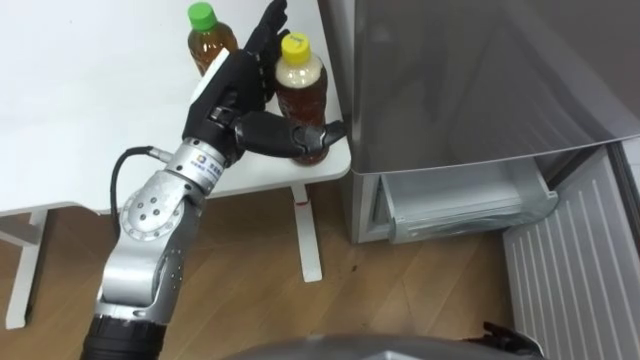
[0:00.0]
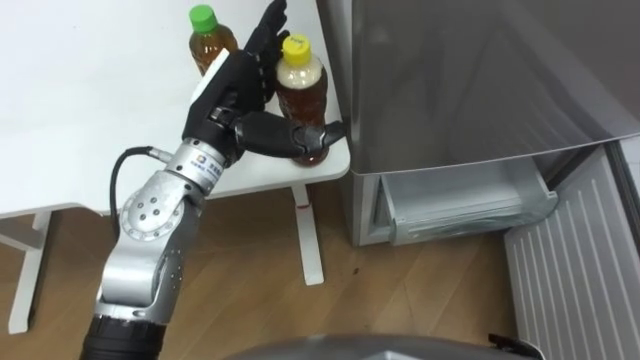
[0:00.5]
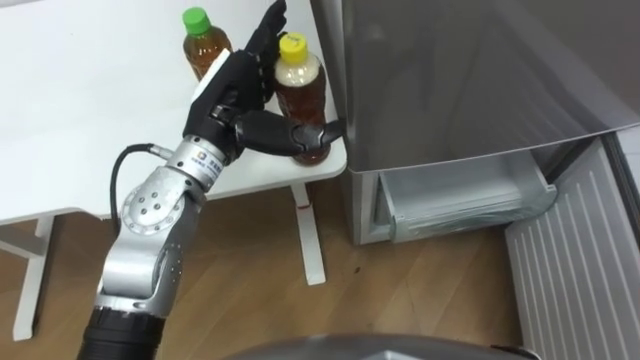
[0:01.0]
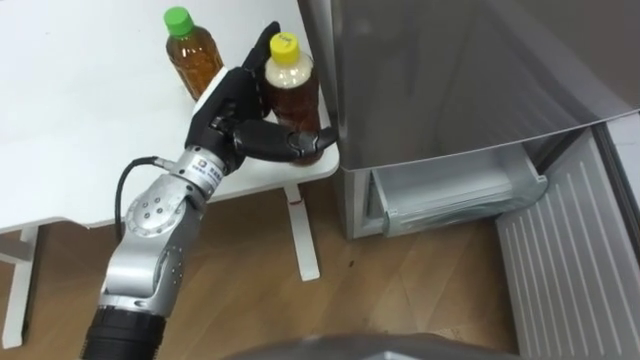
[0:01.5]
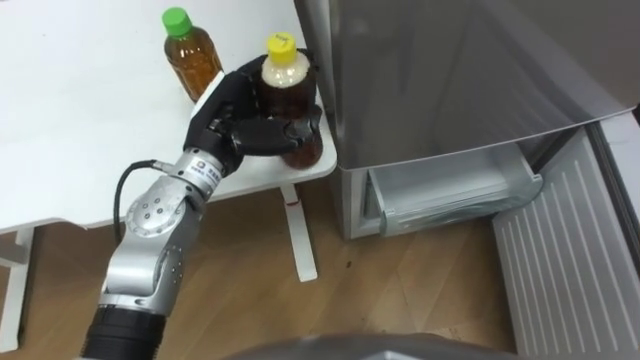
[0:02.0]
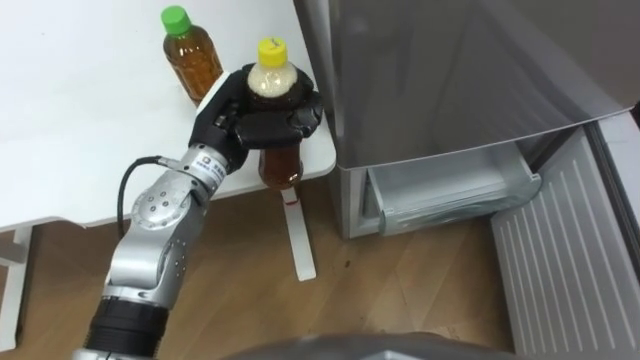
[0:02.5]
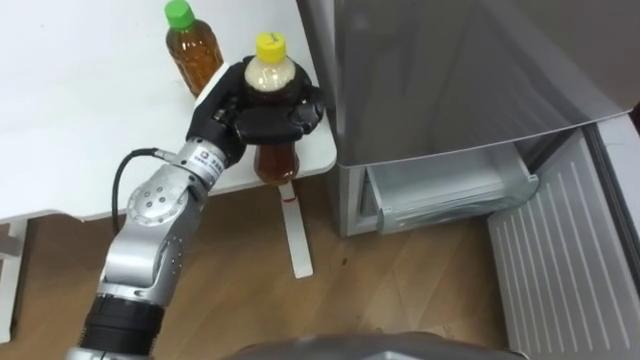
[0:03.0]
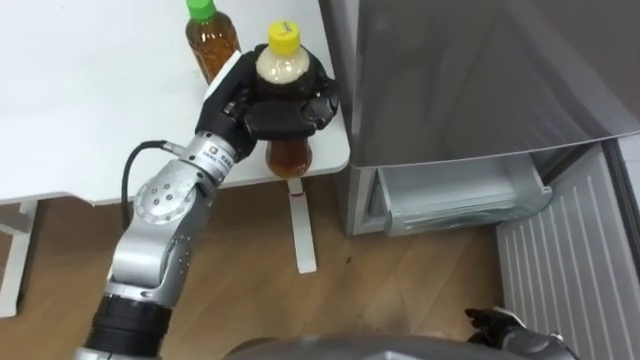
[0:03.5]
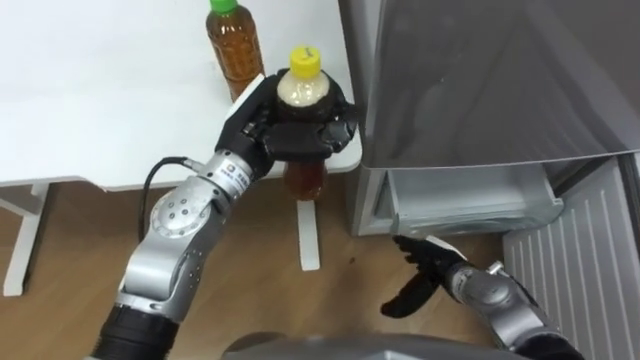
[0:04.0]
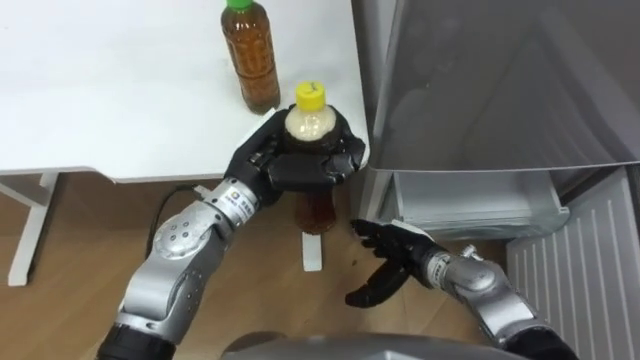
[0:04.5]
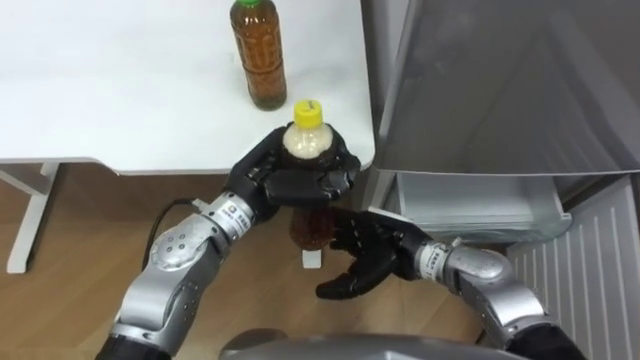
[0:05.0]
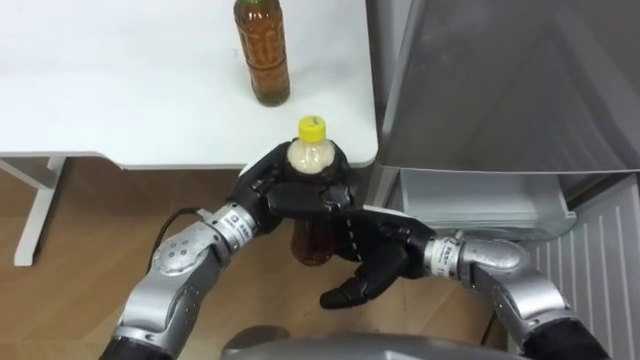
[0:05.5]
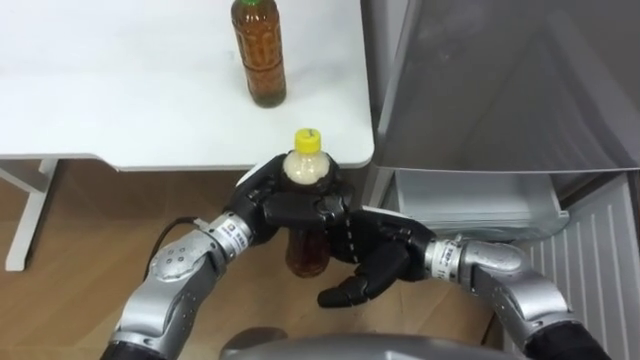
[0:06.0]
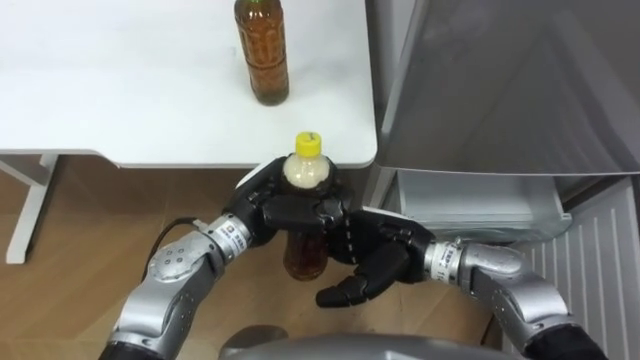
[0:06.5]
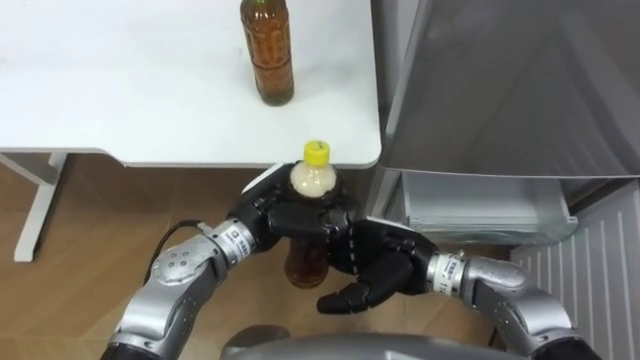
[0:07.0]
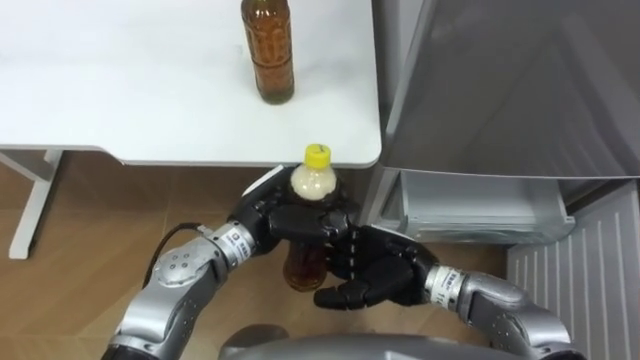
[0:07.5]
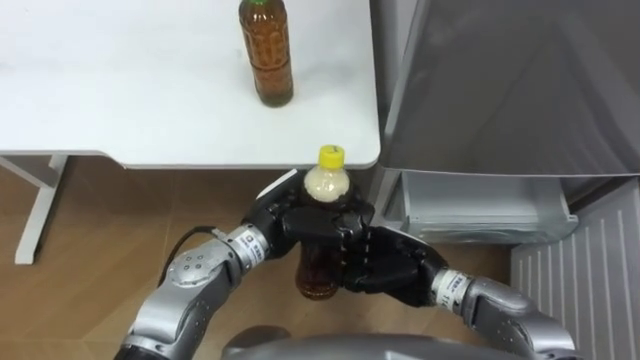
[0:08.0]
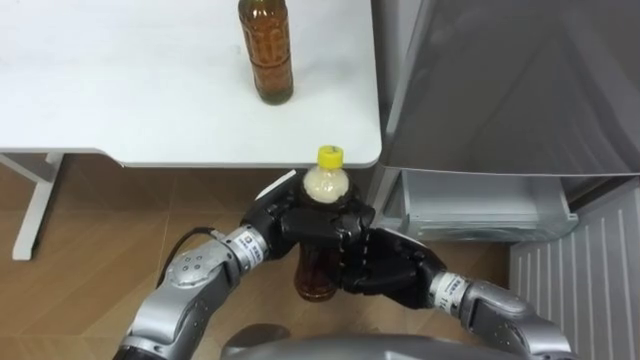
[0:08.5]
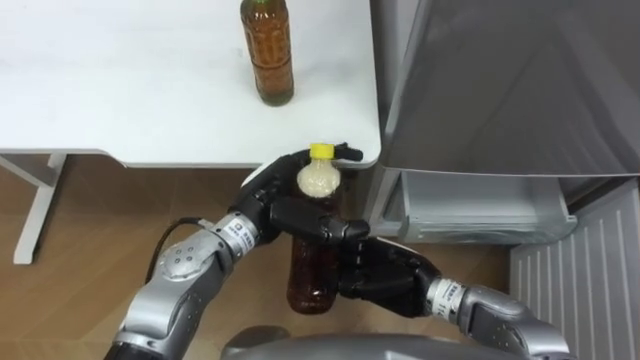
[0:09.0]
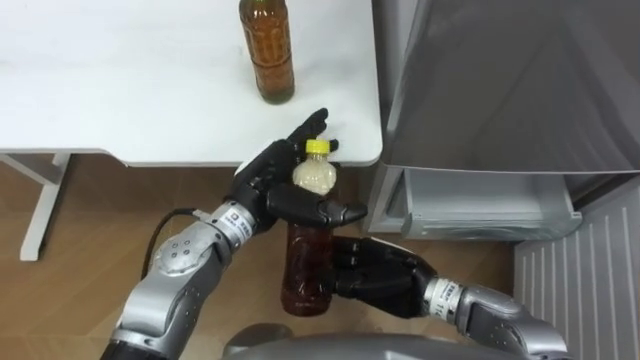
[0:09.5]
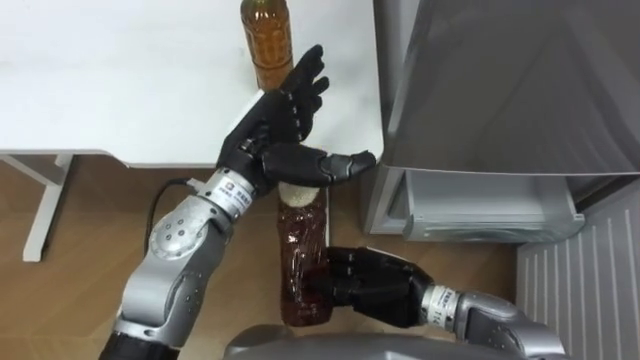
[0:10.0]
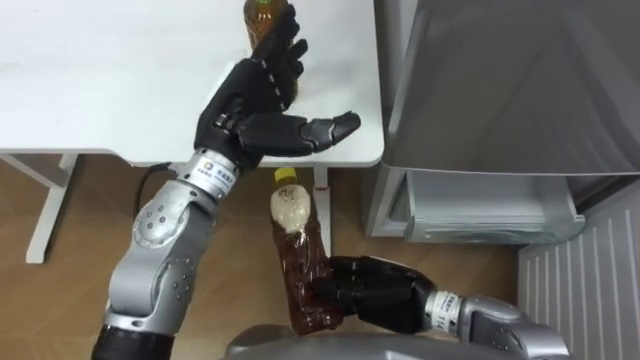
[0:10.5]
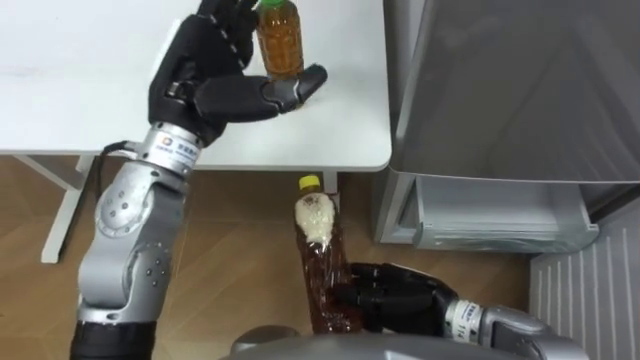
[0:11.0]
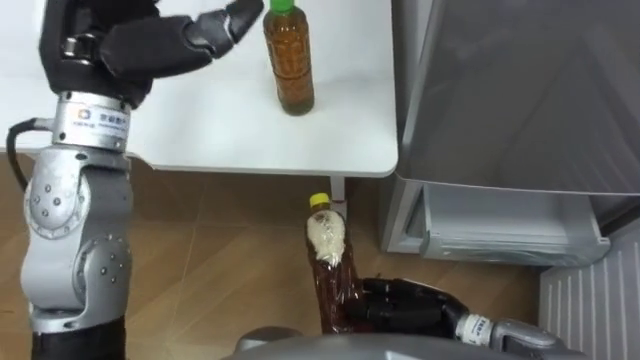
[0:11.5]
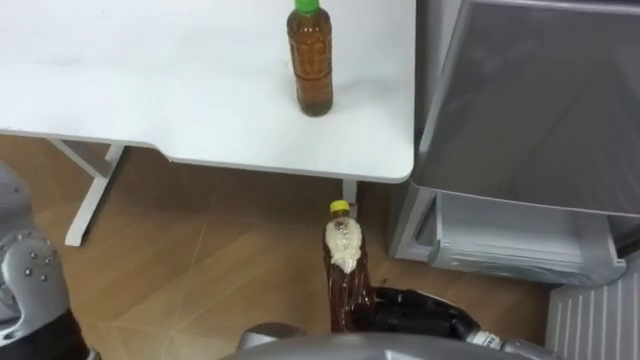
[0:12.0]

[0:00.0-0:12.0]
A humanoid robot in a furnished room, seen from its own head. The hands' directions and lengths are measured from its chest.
Task of the whole recording: Place the drink on the table on the bottom shelf of the refrigerator, then close the drawer and the refrigerator door.
0:00.0 to 0:02.0: The left hand closes.
0:02.0 to 0:04.0: The left hand closes its fingers.
0:04.0 to 0:06.0: The left hand shifts roughly 10 cm downward and backward. Meanwhile the right hand shifts roughly 15 cm upward and to the left.
0:08.0 to 0:10.0: The left hand heads upward, covering about 10 cm, and opens.
0:10.0 to 0:12.0: The right hand heads to the right, covering roughly 5 cm.

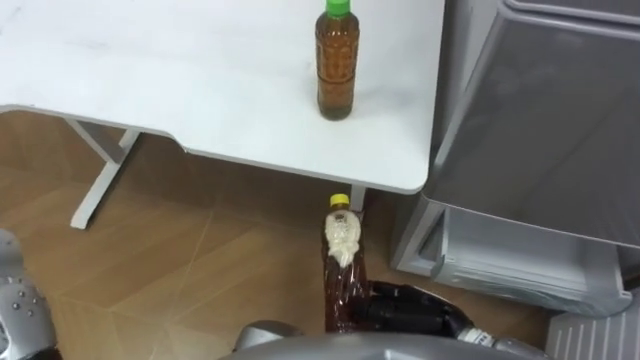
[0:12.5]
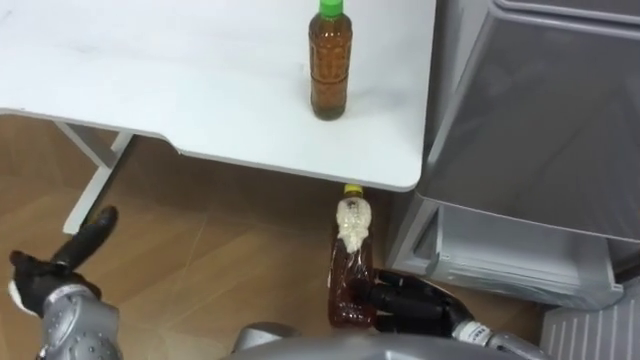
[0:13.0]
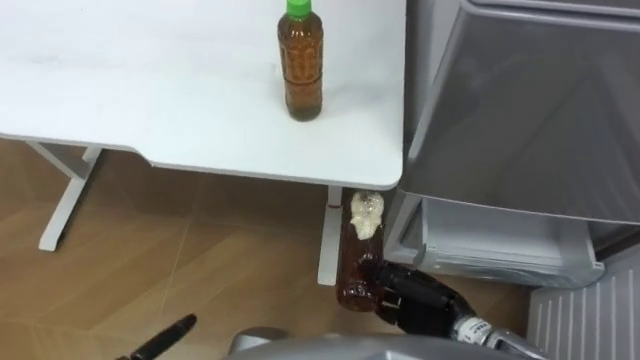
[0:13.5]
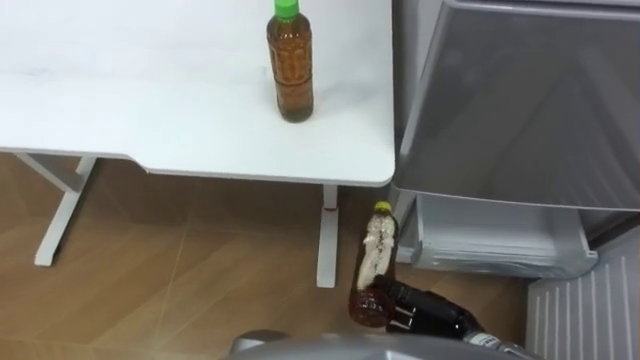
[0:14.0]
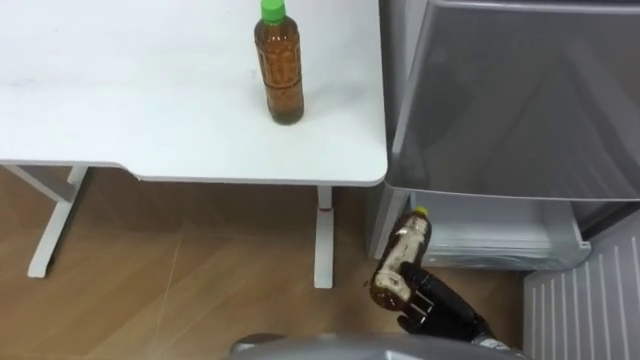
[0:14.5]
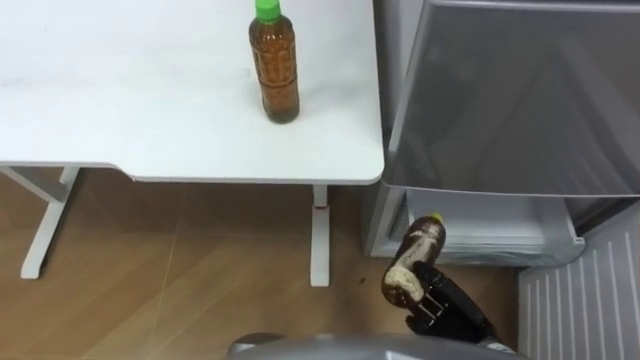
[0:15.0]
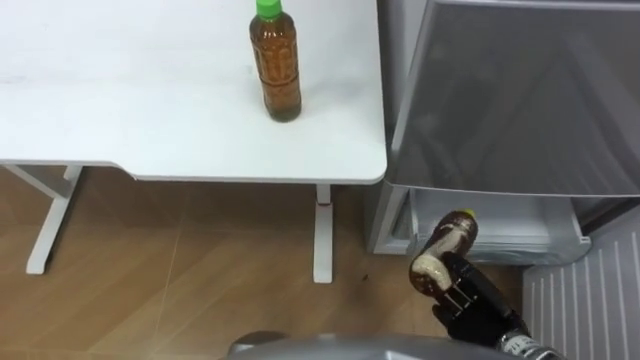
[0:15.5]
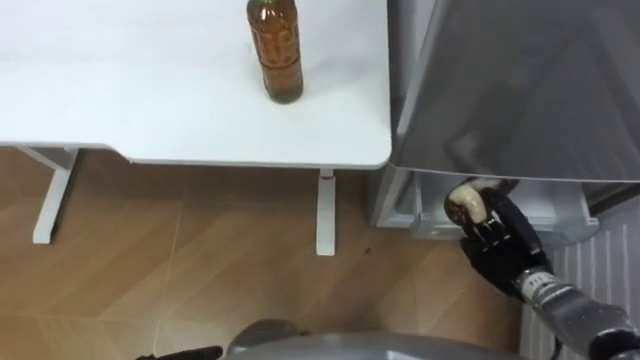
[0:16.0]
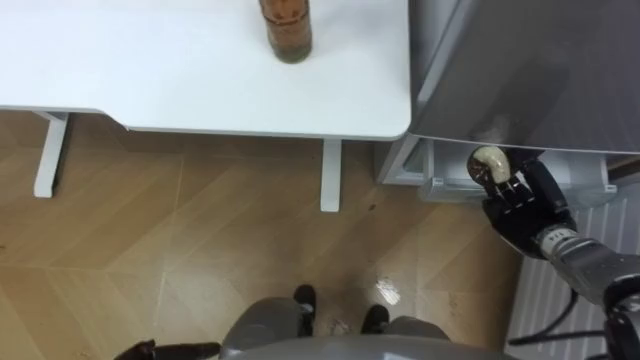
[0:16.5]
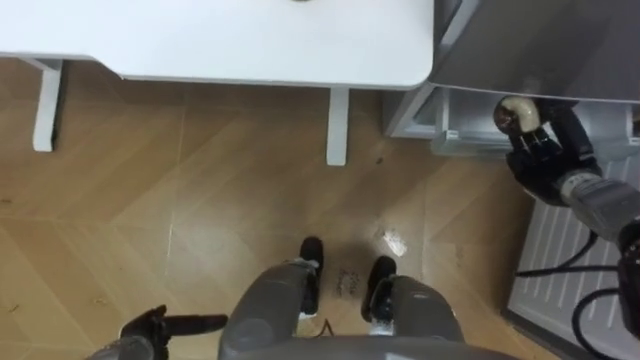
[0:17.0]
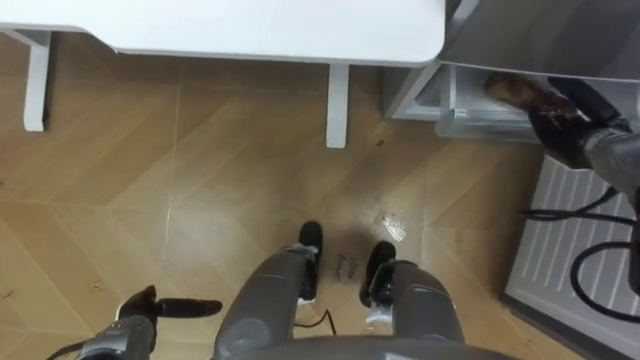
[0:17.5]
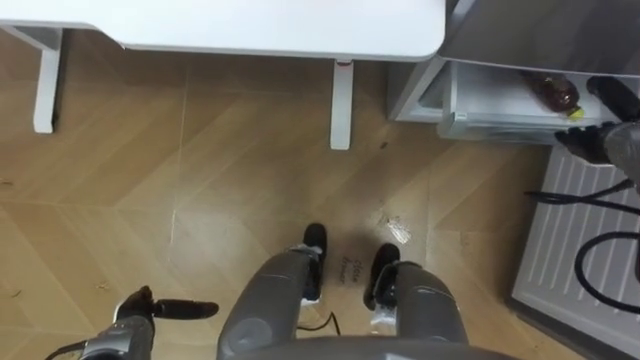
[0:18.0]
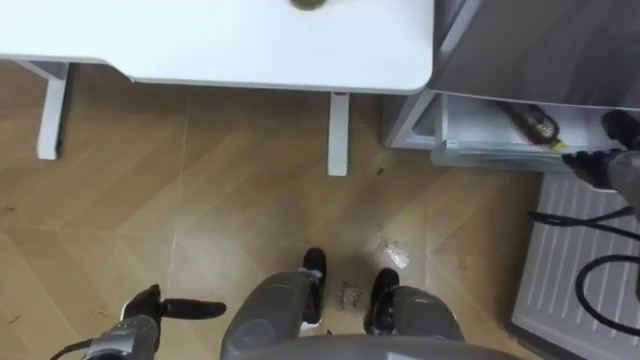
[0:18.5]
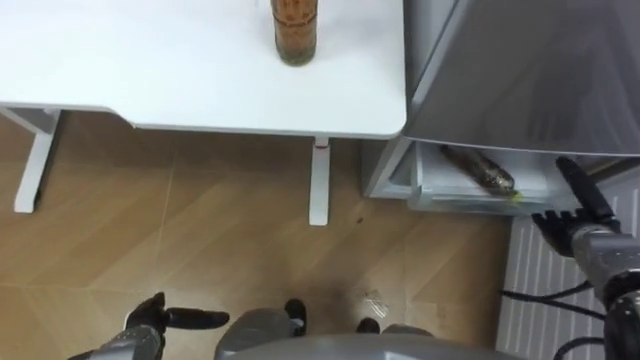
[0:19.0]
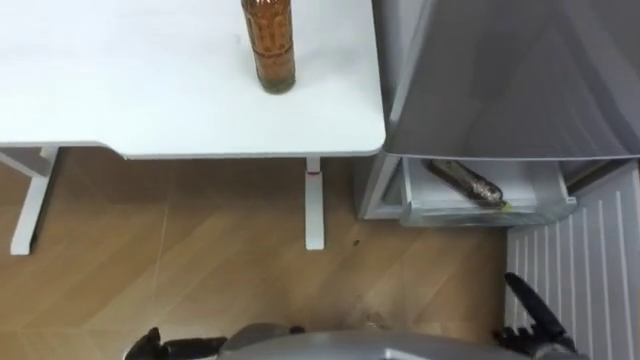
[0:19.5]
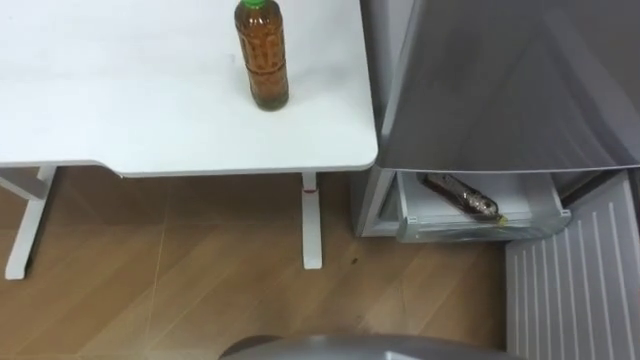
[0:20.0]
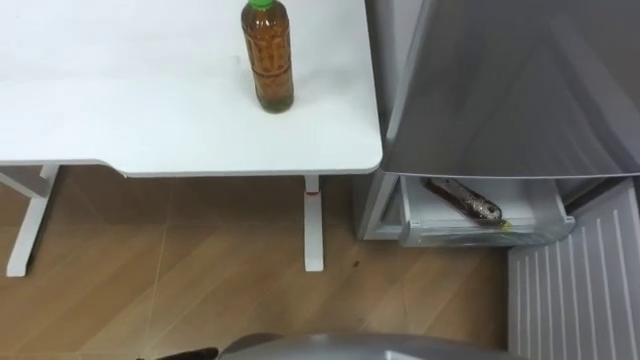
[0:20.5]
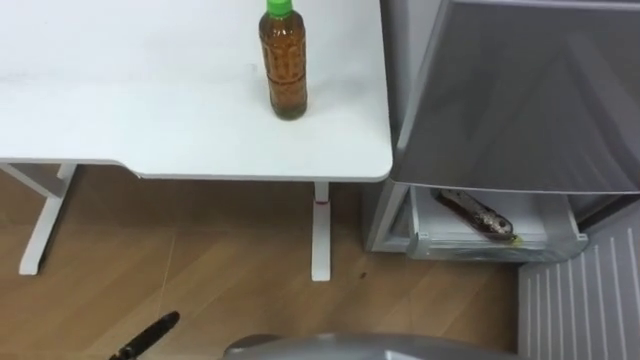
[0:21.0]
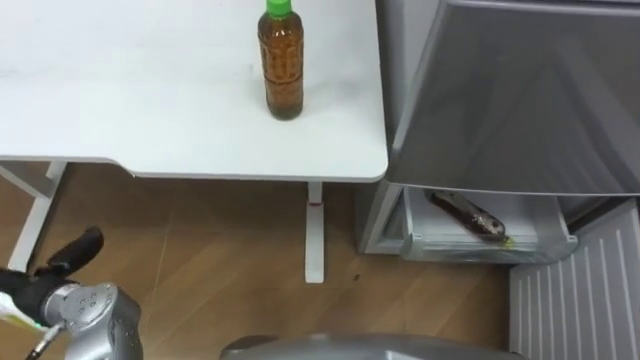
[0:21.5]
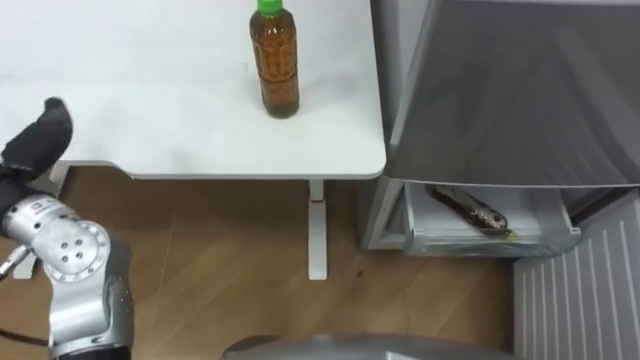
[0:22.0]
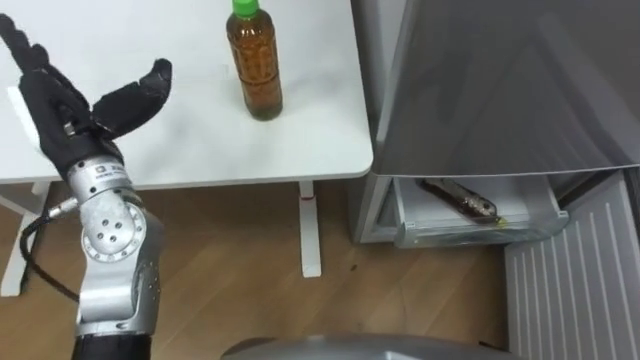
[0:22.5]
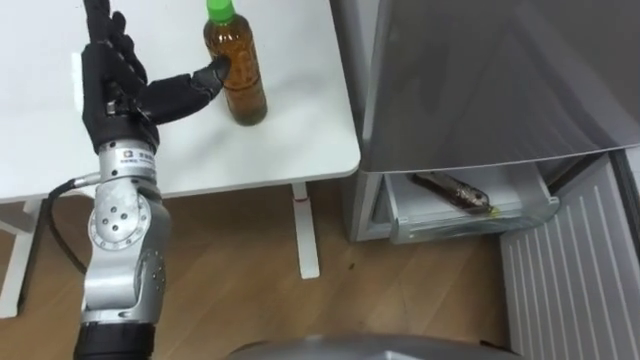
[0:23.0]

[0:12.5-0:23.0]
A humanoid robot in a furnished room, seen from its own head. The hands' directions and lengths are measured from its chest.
Task of the whole recording: Place the drink on the table on the bottom shelf of the refrigerator, then close the drawer and the refrigerator door.
0:12.5 to 0:14.5: The right hand changes place by approximately 5 cm.
0:14.5 to 0:16.5: The right hand is displaced forward and to the right by approximately 20 cm.
0:16.5 to 0:19.0: The right hand is displaced to the right by approximately 5 cm, goes forward and returns, roughly 10 cm each way, and opens.
